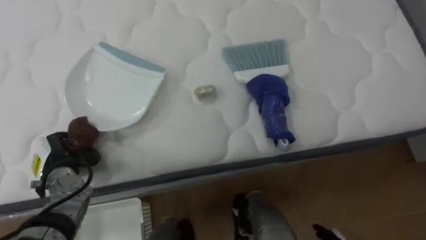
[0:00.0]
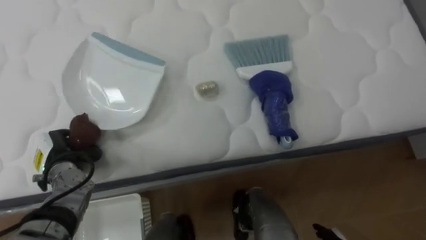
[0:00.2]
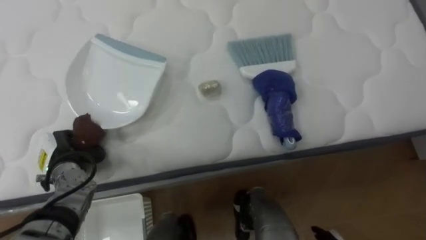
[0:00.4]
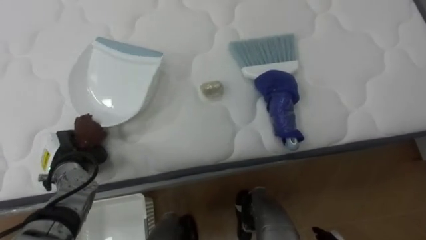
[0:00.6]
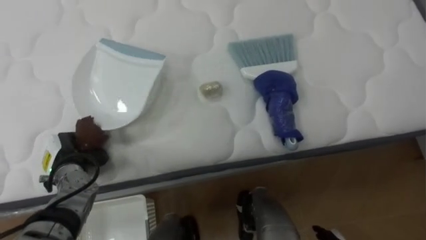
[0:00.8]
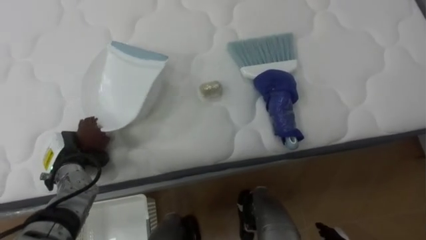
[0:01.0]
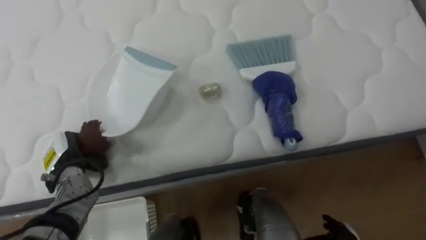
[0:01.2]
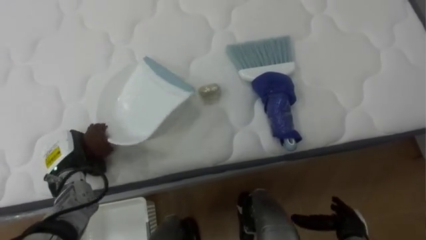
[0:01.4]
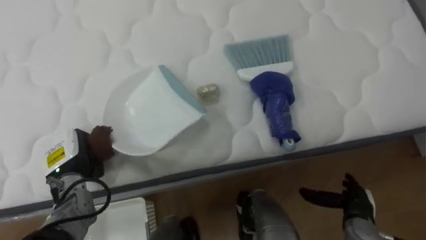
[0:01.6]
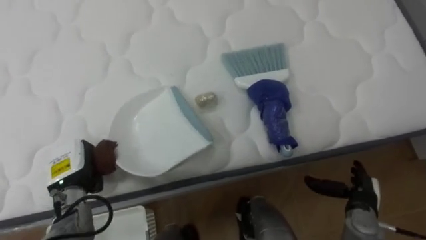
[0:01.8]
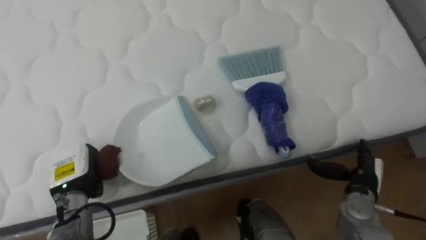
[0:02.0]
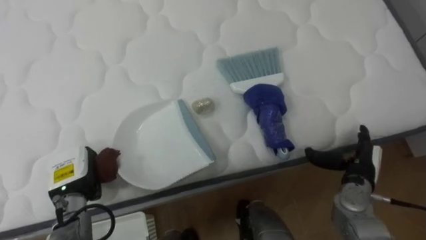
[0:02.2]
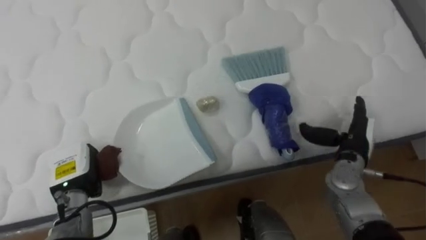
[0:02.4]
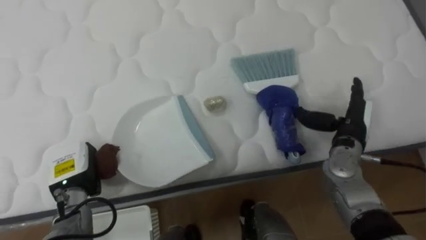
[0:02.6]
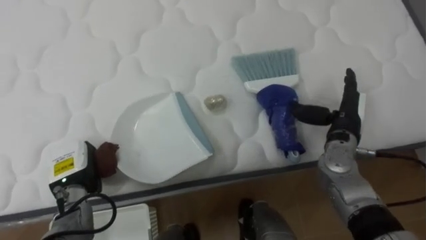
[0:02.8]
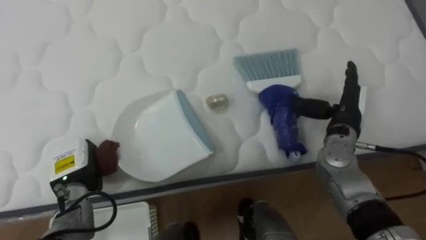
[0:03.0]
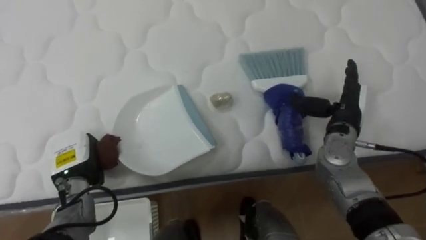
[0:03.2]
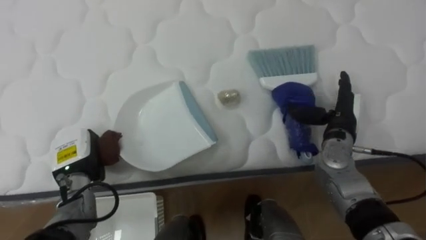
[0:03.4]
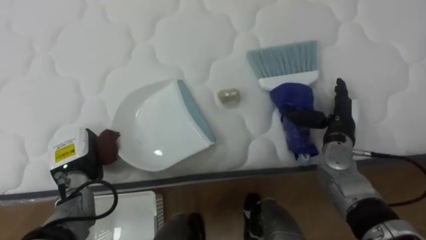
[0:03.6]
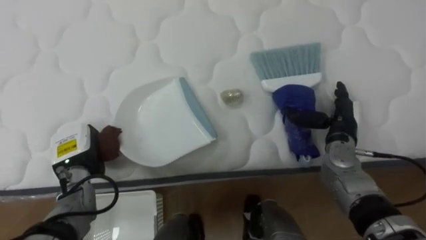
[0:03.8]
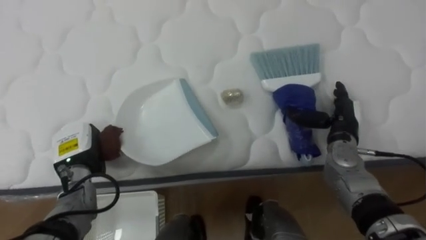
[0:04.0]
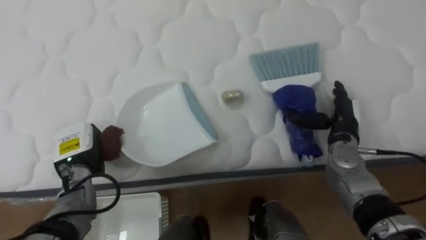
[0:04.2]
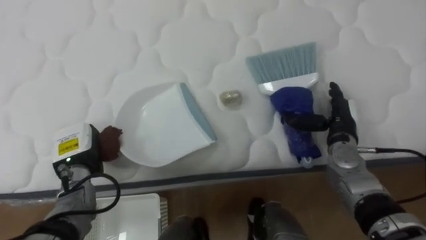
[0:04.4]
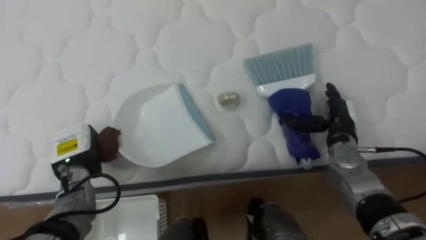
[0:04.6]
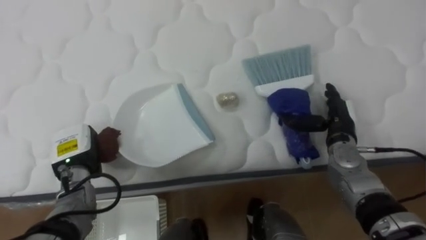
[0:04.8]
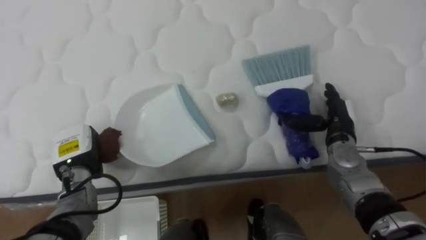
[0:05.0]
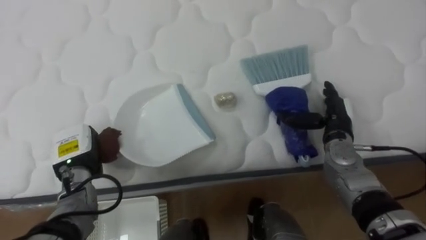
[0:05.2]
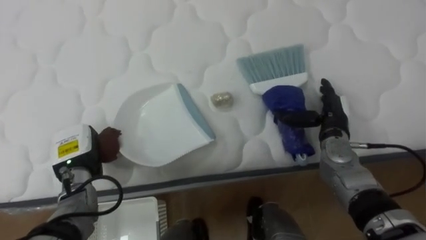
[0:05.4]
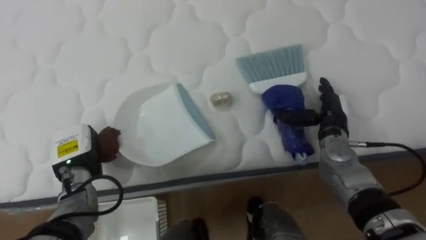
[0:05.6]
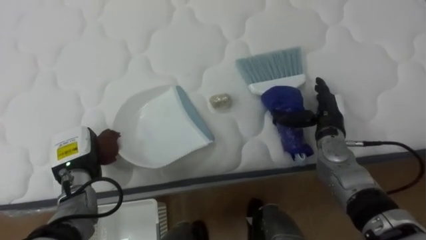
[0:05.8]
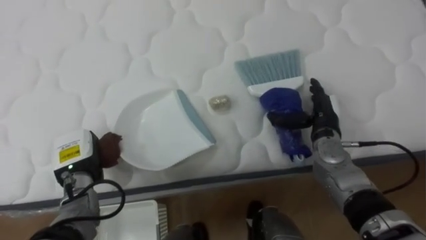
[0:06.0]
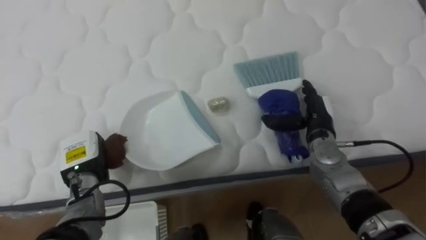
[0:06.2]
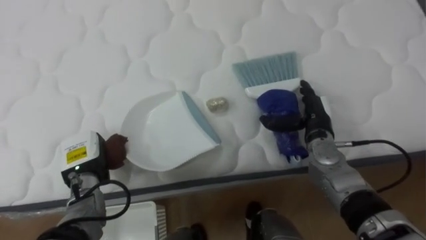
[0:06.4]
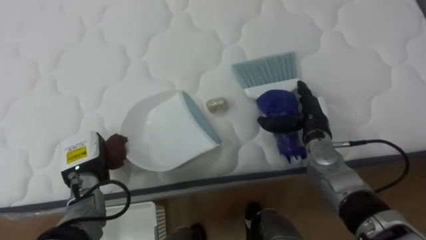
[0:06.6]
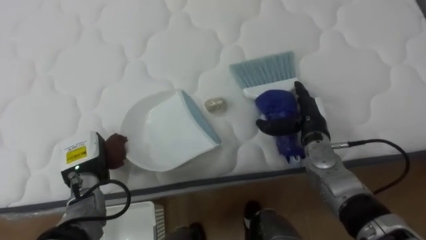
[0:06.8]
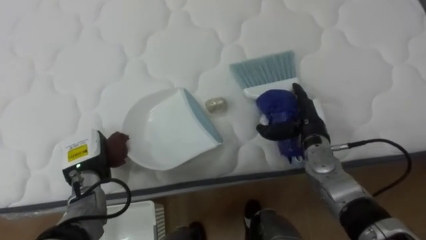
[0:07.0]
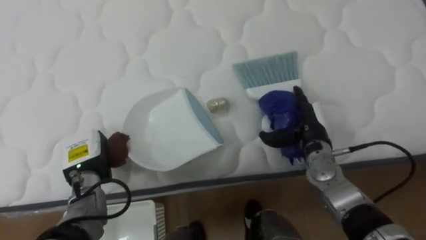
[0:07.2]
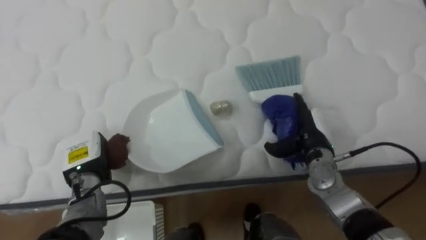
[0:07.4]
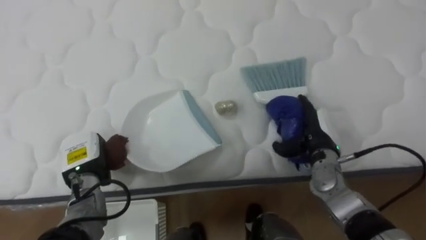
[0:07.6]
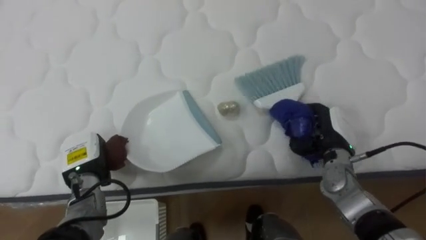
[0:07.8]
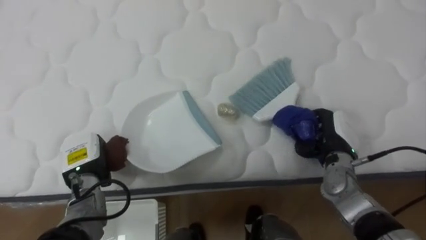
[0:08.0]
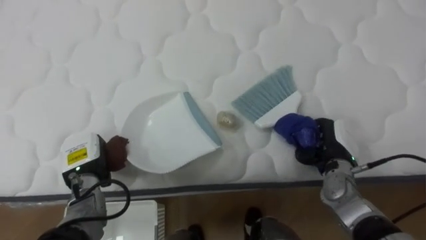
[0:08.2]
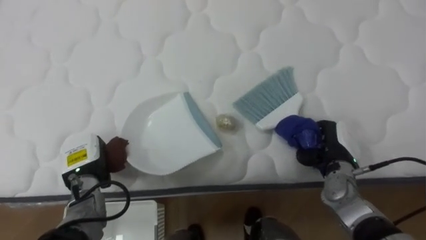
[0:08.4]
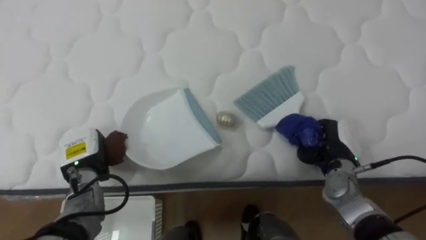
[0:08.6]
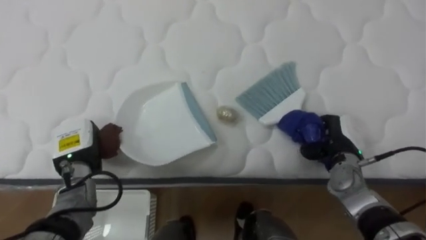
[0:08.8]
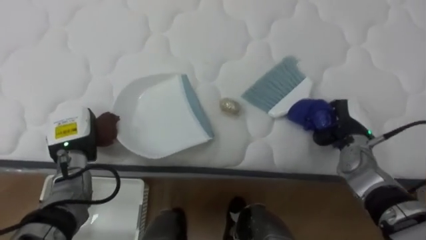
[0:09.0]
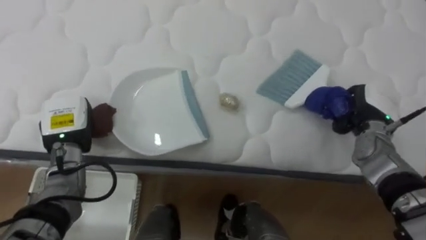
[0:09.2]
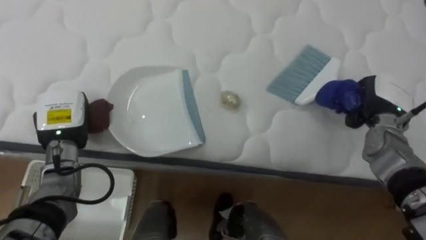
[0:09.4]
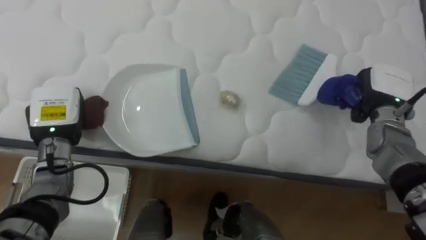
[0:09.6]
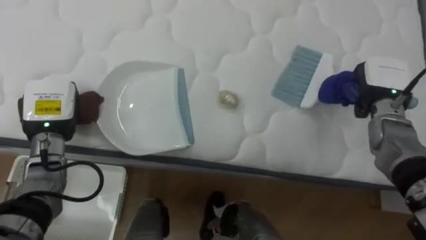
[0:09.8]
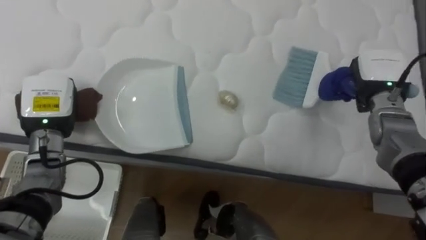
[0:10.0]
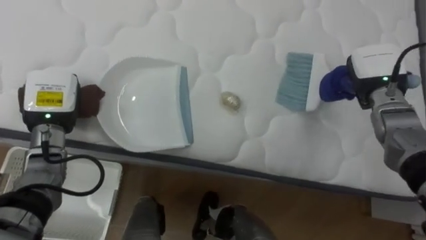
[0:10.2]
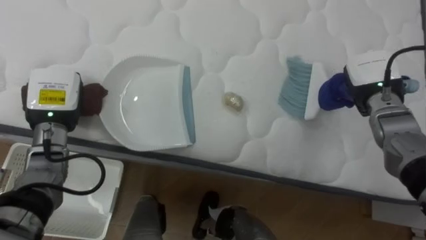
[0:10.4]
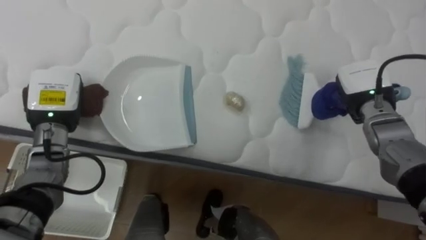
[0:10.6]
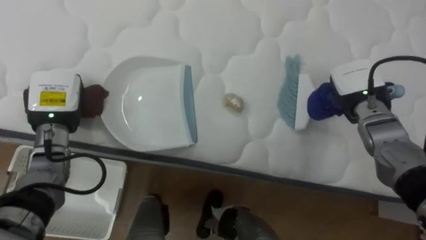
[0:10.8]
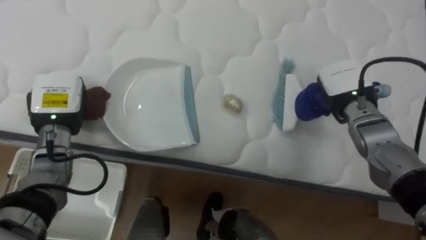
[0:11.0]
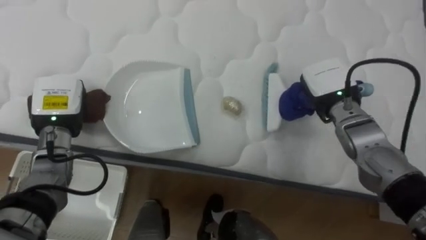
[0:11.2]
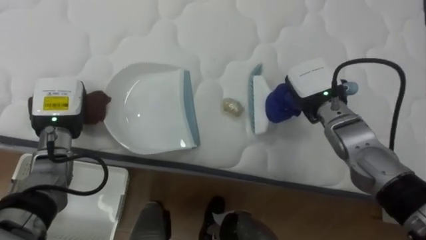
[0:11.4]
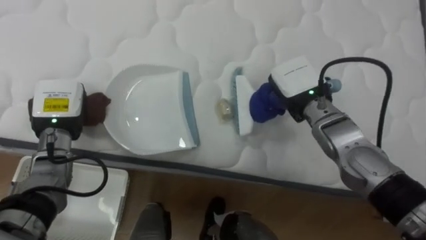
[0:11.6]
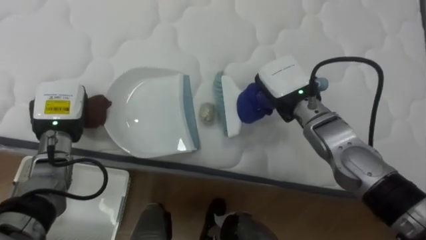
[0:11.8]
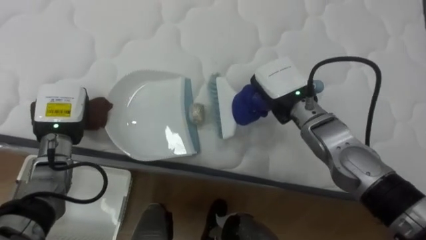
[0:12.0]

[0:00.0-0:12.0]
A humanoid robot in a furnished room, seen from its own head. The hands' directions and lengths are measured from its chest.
Task of the whole recording: Pick up the brush on your right and the dustpan on your left. Use the brush to sweep the crumpled paper on the bed into the dustpan, then turn left and empty it into the basket.
0:00.0 to 0:01.6: The left hand closes its fingers.
0:01.6 to 0:03.0: The right hand shifts roughly 20 cm upward and forward.
0:03.0 to 0:04.4: The right hand heads downward, covering approximately 5 cm.
0:07.6 to 0:09.0: The left hand changes place by approximately 5 cm. Meanwhile the right hand is displaced to the right by approximately 5 cm, and closes its fingers.
0:09.0 to 0:10.4: Both hands travel together upward, roughly 10 cm.
0:10.4 to 0:12.0: The right hand travels to the left by about 15 cm.

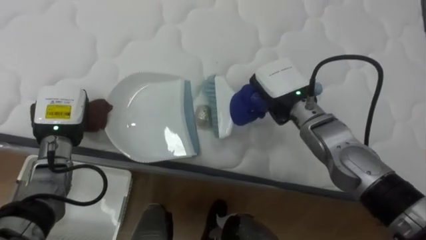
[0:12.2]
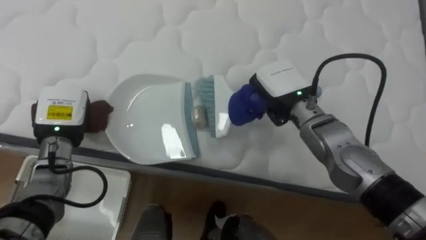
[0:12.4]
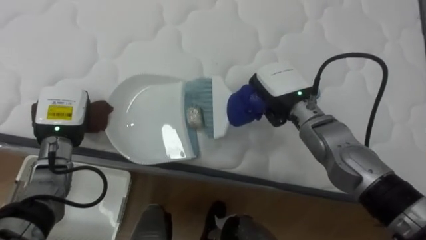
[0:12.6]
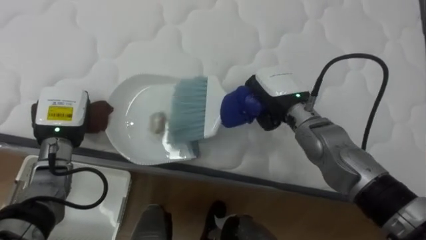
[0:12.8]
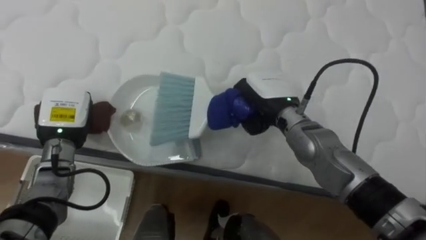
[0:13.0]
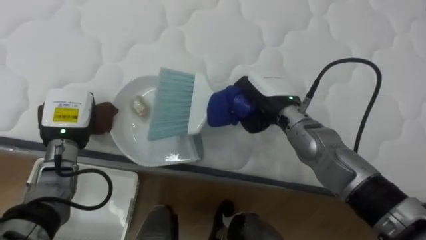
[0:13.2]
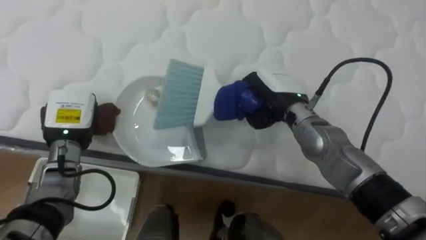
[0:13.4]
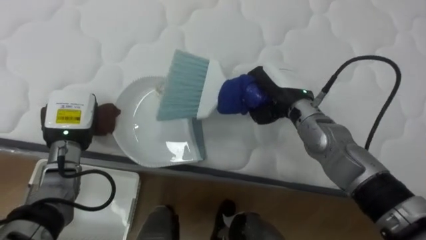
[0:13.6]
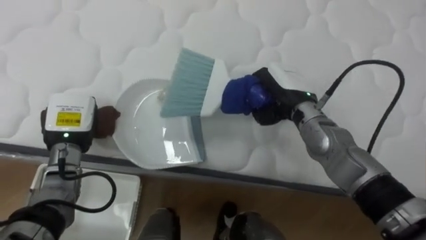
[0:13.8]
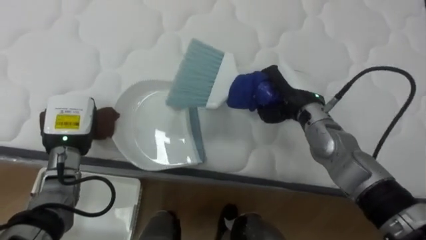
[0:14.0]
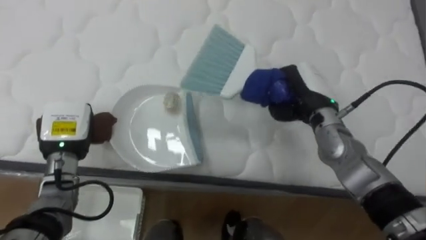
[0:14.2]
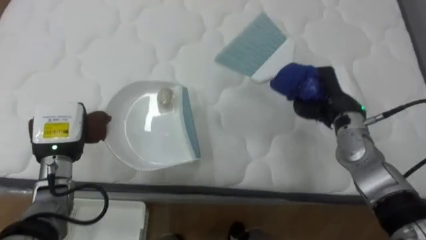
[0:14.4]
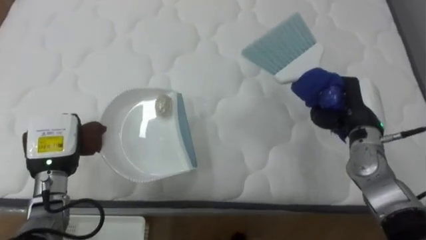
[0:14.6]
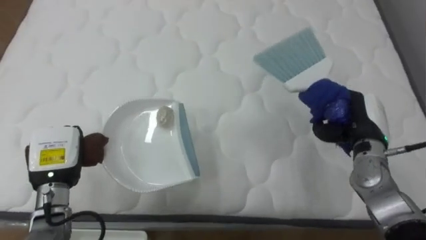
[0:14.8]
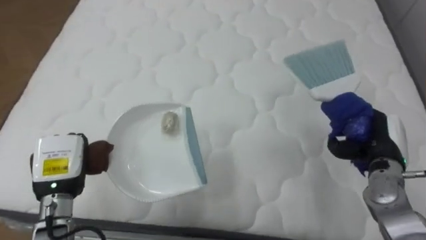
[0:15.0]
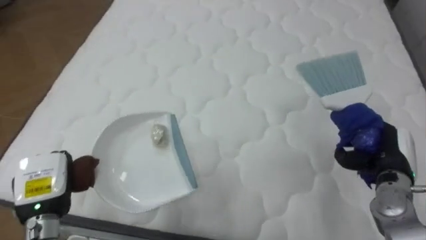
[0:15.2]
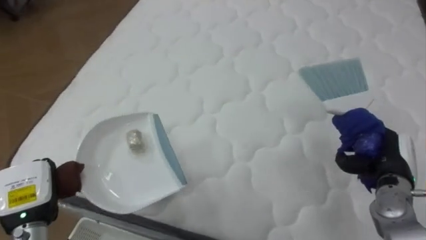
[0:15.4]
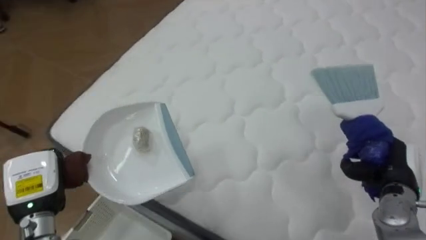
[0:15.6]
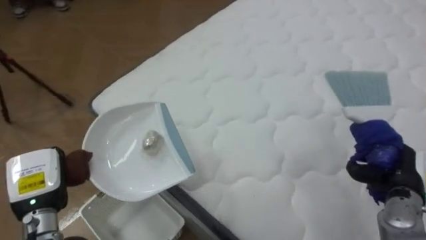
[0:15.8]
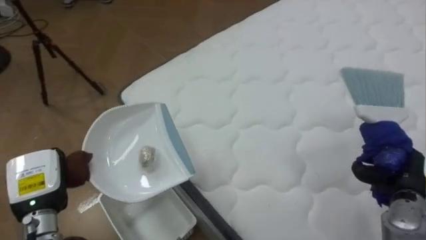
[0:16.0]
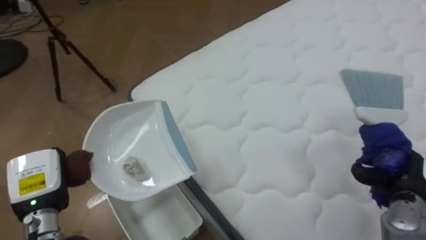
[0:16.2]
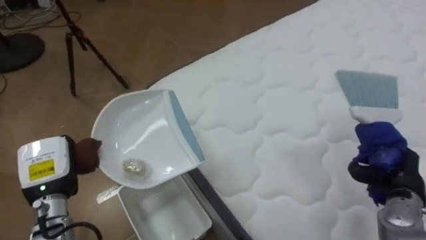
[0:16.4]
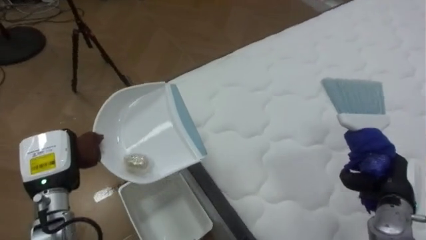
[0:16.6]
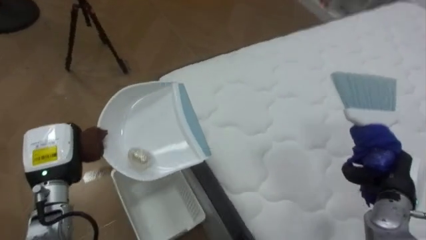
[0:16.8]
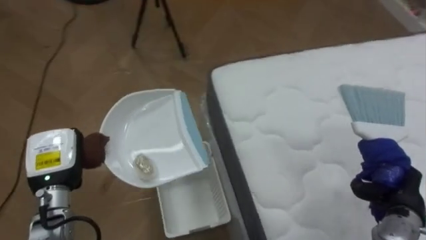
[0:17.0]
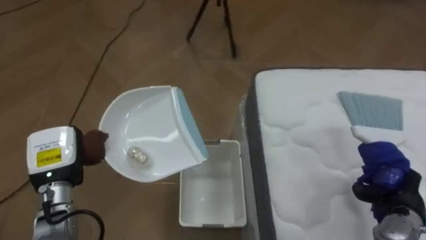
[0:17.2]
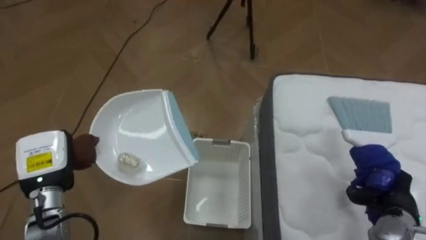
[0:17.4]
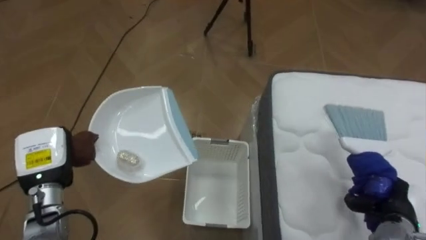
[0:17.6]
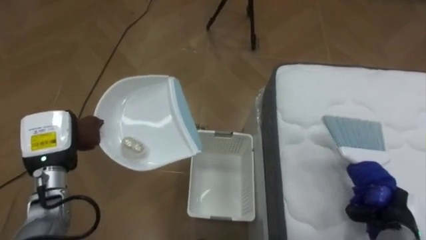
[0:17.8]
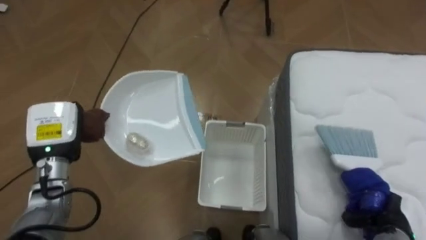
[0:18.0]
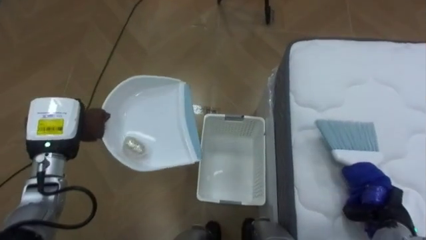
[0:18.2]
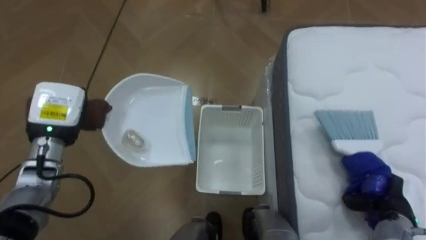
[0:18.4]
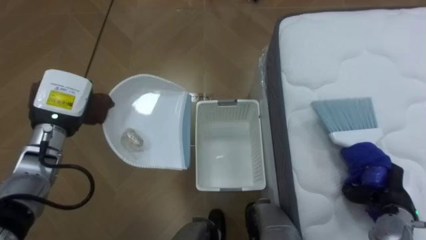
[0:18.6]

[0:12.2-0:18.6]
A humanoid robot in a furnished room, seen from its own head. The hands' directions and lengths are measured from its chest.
Task of the whole recording: Pick up the brush on your right and the dustpan on your left. Use the brush to sweep the crumpled paper on the bed into the dustpan, then turn left and empty it into the basket.
0:13.8 to 0:15.4: The right hand goes roughly 25 cm to the right, backward and downward, while the left hand shifts some 15 cm backward and to the left.
0:15.4 to 0:17.0: The robot turns to its left by about 60 degrees. The left hand is displaced forward by roughly 5 cm. The right hand moves backward, some 5 cm.
0:17.0 to 0:18.6: The robot turns to its left by about 25 degrees. The left hand travels forward and upward by approximately 10 cm.
